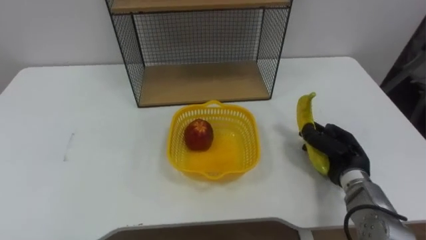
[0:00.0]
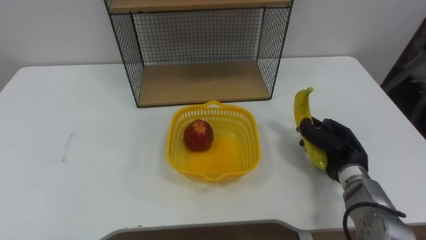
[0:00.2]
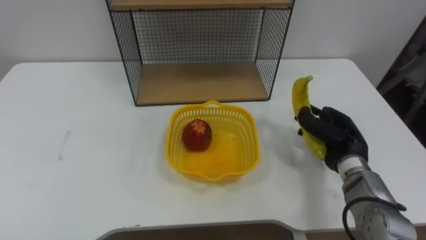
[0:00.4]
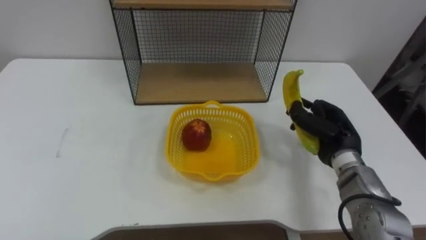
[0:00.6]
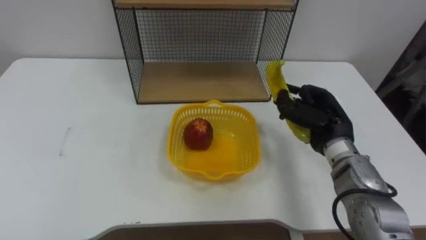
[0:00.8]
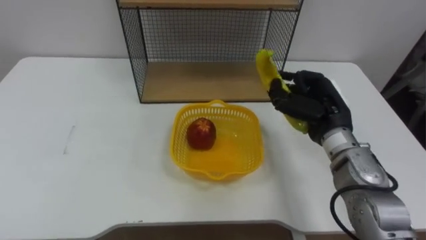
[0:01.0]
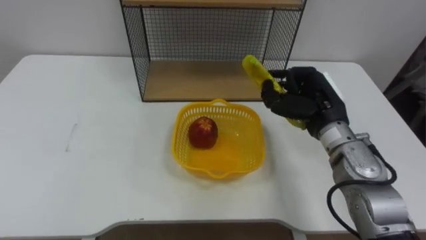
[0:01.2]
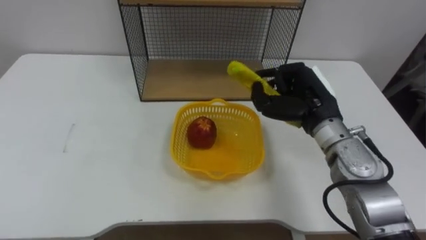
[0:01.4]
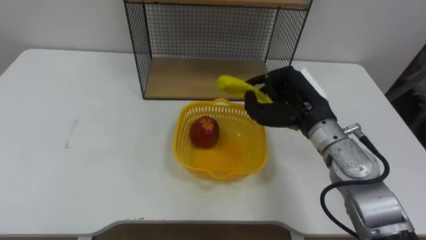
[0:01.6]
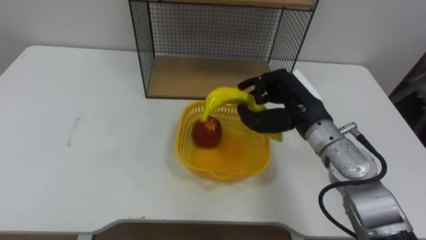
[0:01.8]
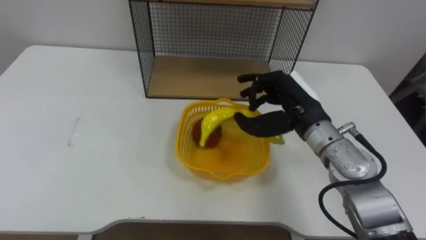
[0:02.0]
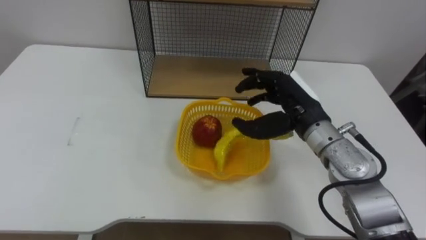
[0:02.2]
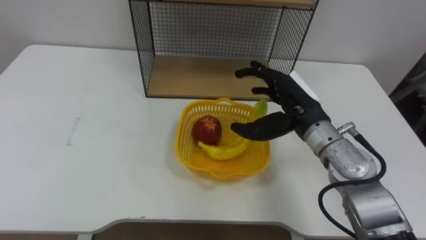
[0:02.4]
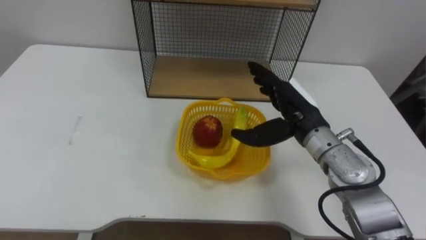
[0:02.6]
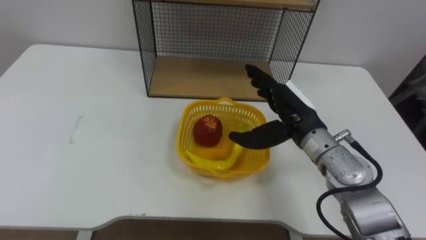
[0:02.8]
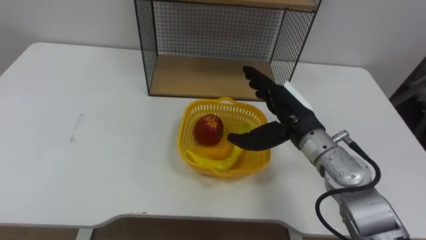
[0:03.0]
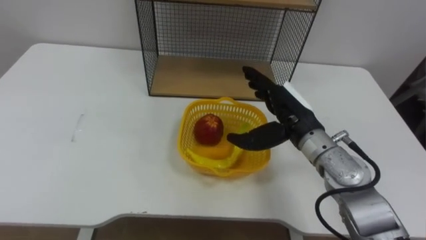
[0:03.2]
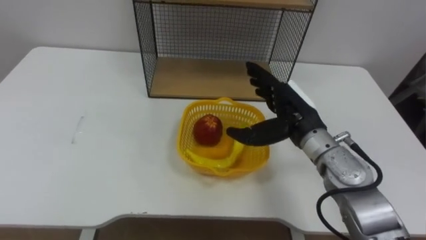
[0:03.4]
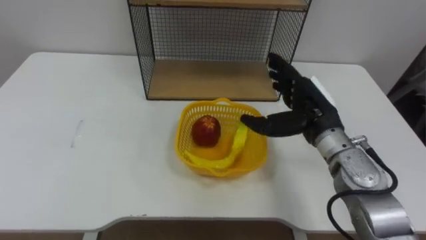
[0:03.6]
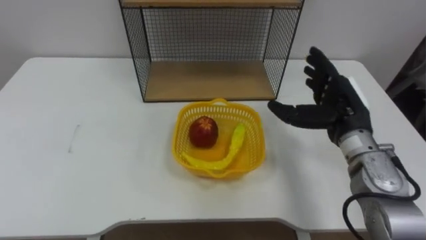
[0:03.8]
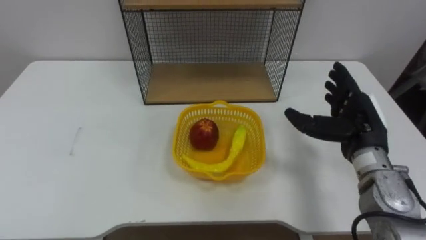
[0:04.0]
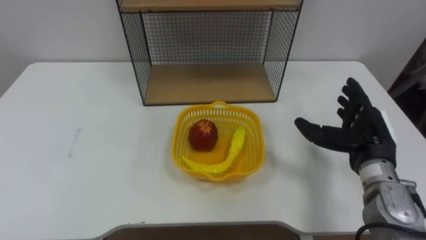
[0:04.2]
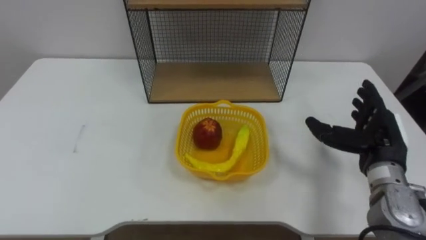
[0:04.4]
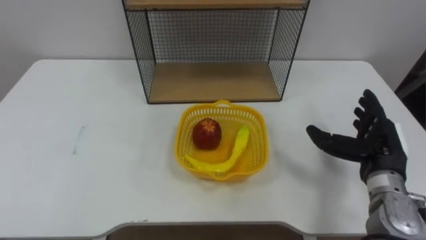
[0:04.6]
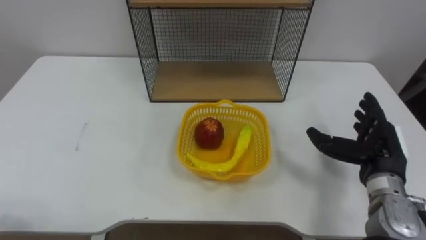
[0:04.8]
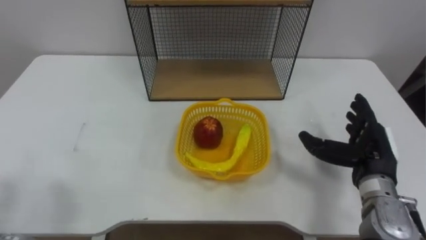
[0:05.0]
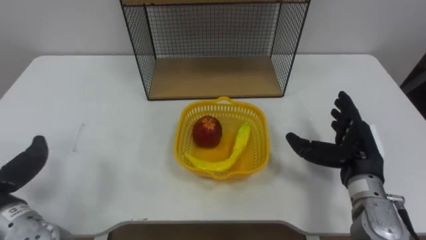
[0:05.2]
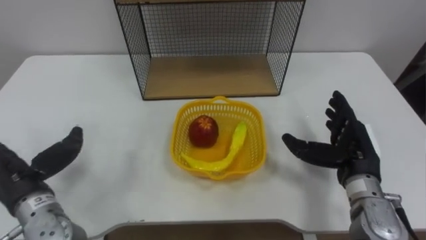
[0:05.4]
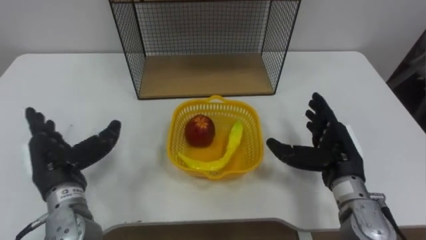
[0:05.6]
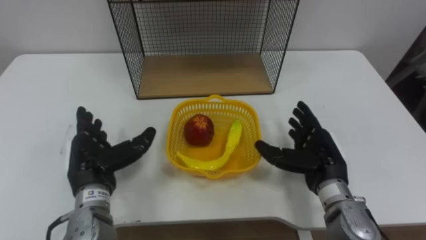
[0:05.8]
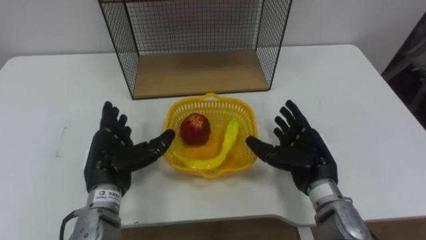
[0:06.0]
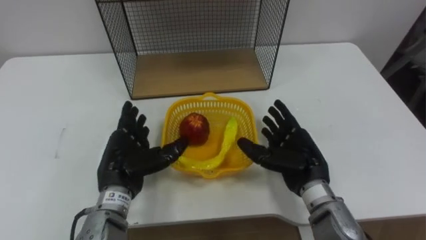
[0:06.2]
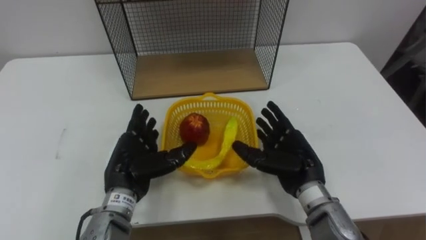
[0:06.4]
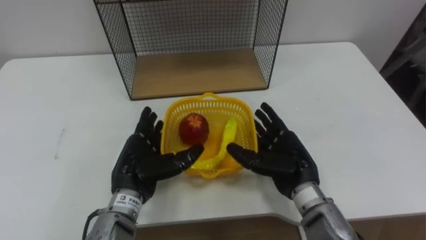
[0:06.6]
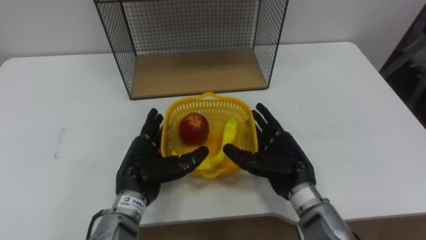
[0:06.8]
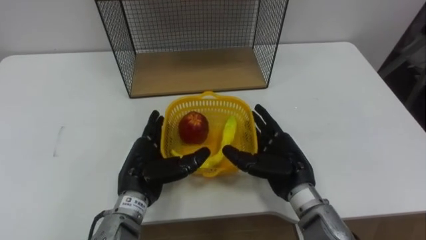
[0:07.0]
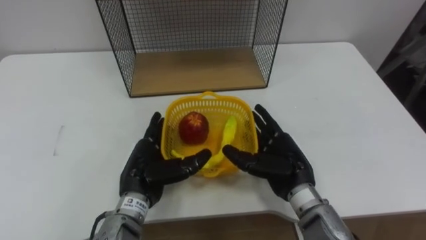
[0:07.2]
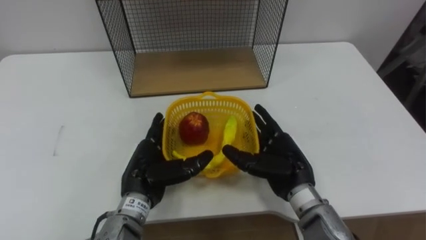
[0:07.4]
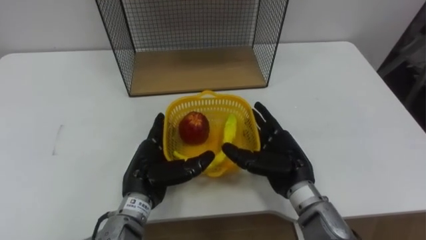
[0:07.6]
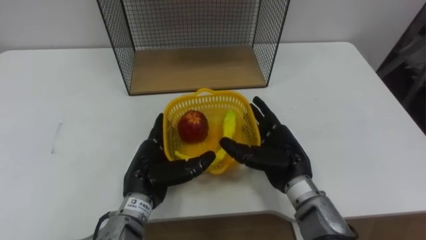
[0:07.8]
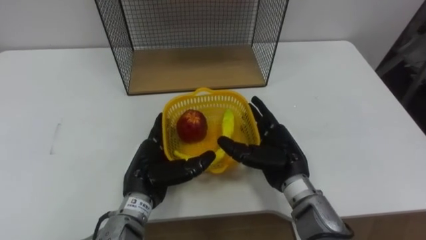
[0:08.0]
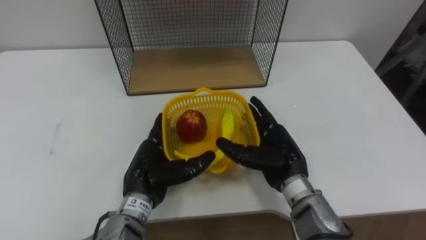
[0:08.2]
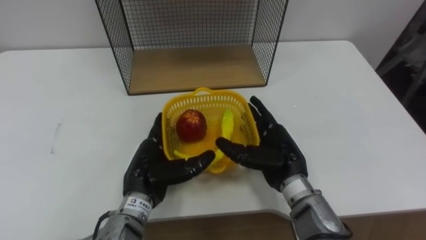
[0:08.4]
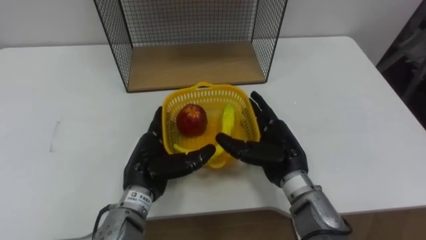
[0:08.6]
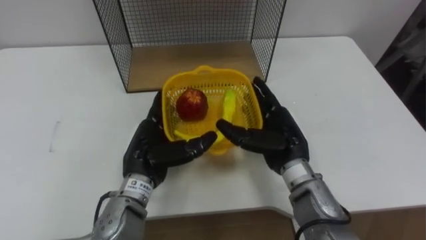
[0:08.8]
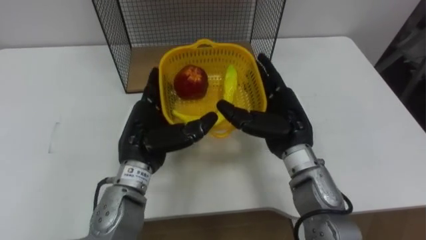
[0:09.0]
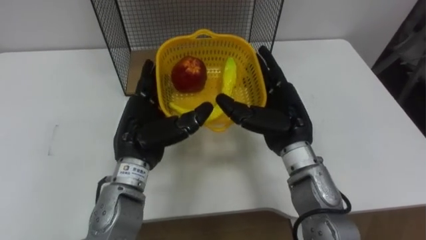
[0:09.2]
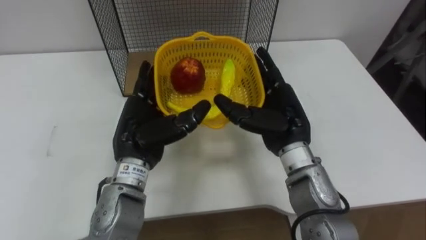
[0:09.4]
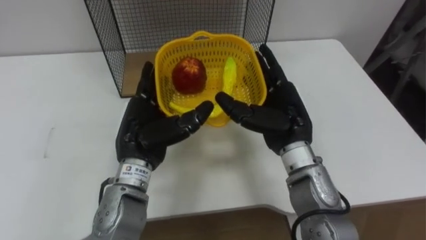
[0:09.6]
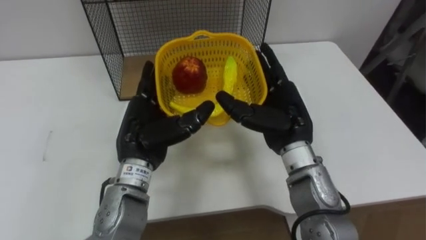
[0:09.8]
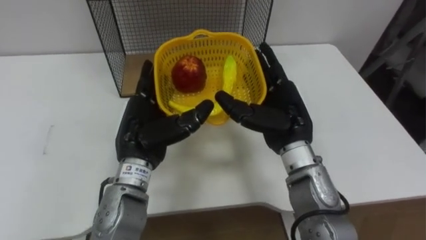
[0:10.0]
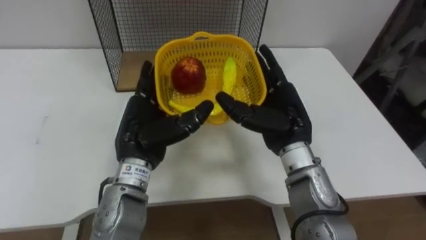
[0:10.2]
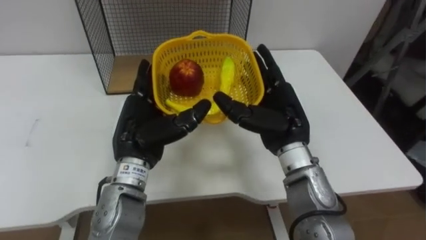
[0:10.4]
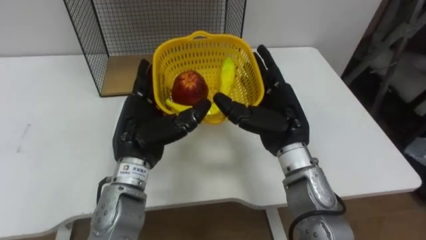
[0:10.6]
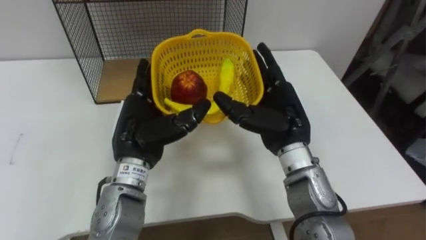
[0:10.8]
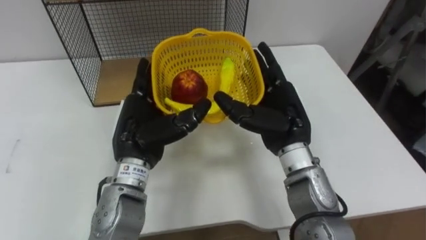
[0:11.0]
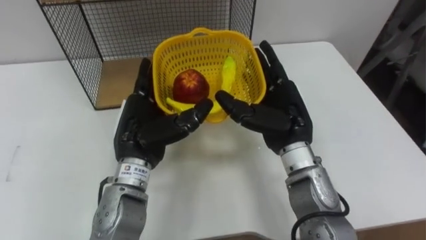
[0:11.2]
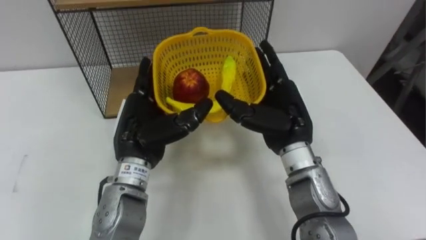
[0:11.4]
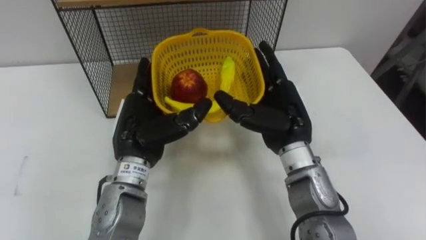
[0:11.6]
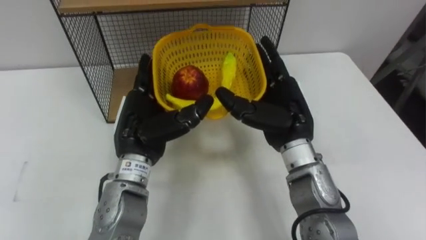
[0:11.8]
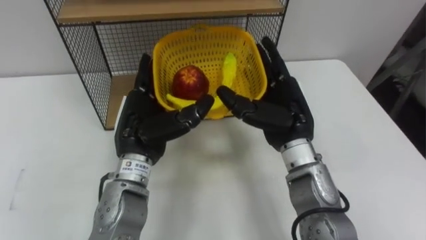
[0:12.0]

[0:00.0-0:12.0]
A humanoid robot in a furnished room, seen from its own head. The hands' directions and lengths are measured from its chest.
Task of the whole recording: Put the fruit on the table into the basket, then place the basket on the shelf.
0:00.0 to 0:01.6: The right hand travels upward and to the left by about 15 cm.
0:01.6 to 0:03.0: The right hand opens.
0:03.0 to 0:04.4: The right hand goes approximately 15 cm to the right.
0:04.4 to 0:06.0: The right hand heads to the left, covering roughly 10 cm.
0:06.0 to 0:07.6: The left hand heads to the right, covering about 5 cm; the right hand shifts approximately 5 cm to the left.
0:07.6 to 0:09.0: Both hands move upward, some 5 cm.

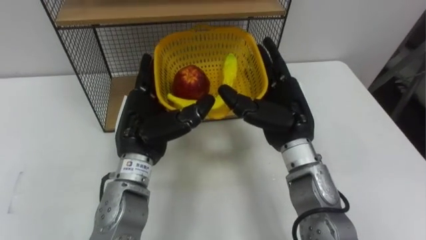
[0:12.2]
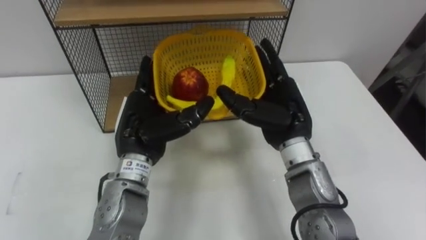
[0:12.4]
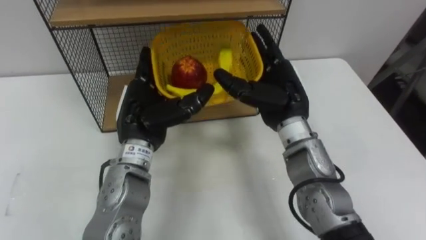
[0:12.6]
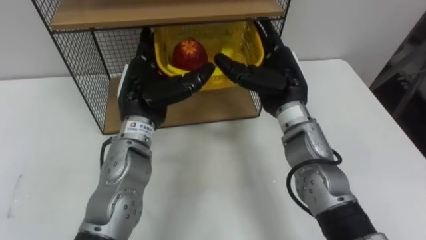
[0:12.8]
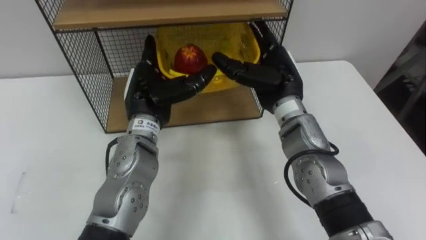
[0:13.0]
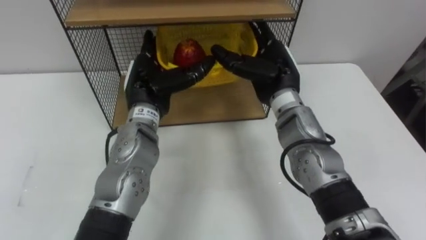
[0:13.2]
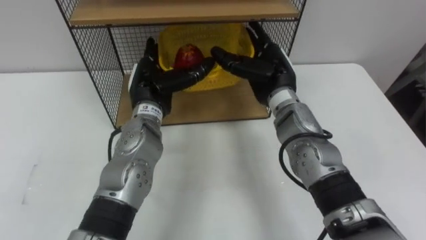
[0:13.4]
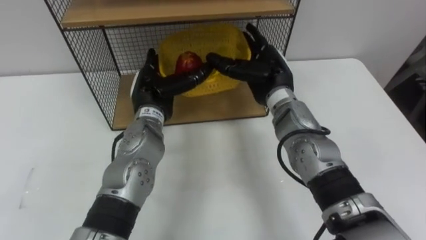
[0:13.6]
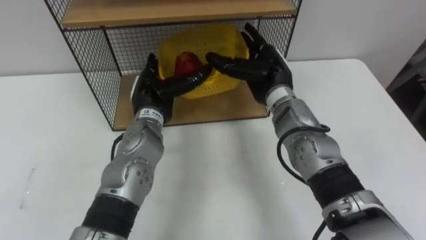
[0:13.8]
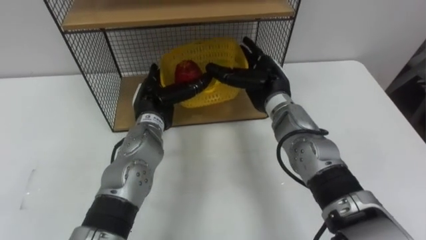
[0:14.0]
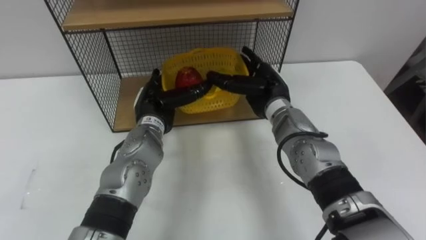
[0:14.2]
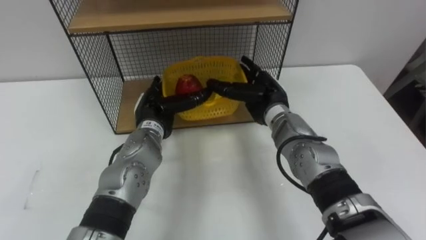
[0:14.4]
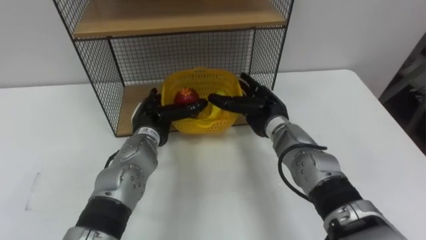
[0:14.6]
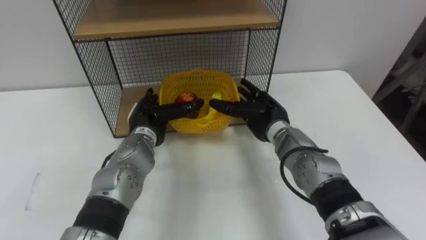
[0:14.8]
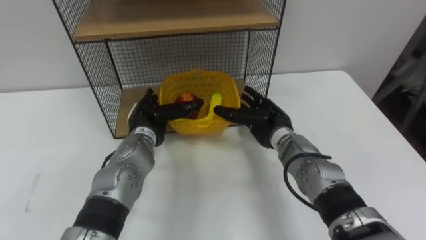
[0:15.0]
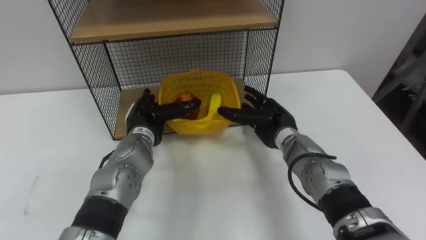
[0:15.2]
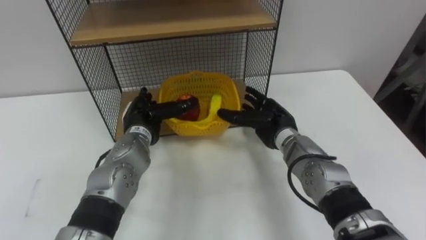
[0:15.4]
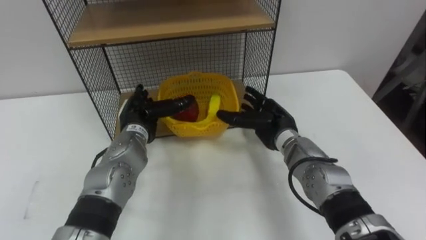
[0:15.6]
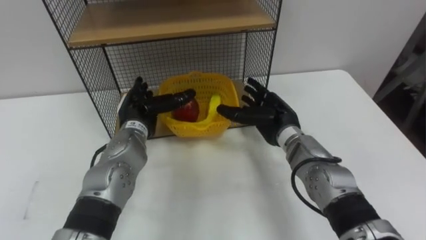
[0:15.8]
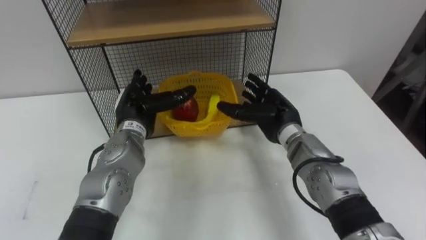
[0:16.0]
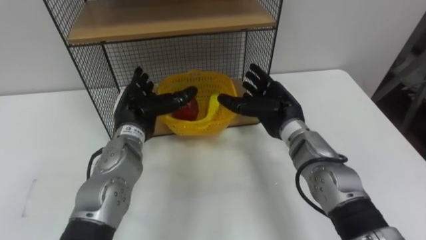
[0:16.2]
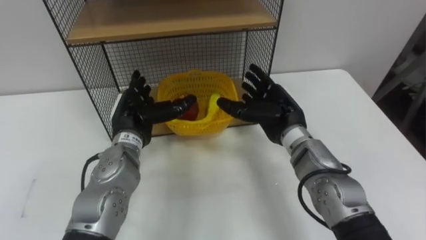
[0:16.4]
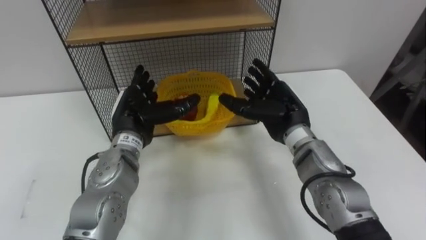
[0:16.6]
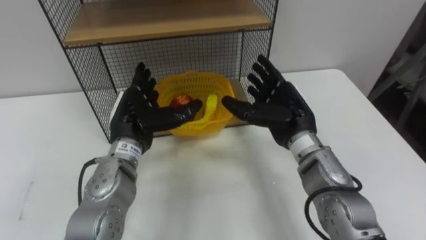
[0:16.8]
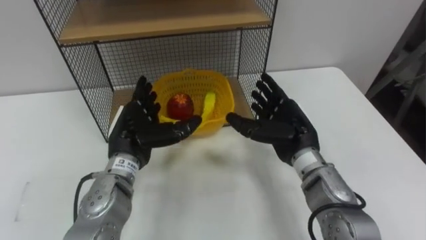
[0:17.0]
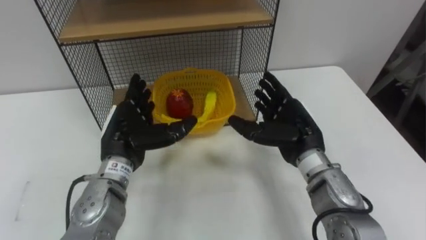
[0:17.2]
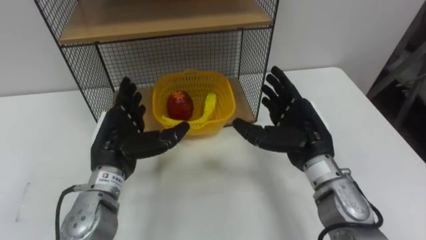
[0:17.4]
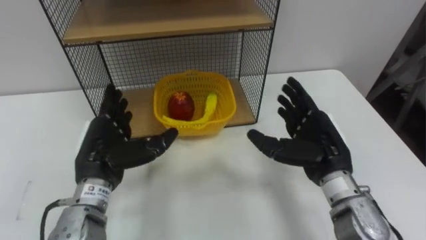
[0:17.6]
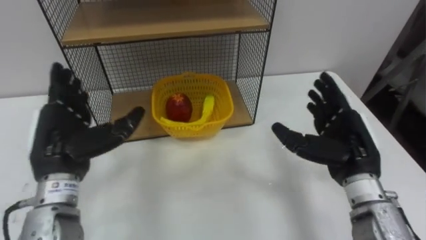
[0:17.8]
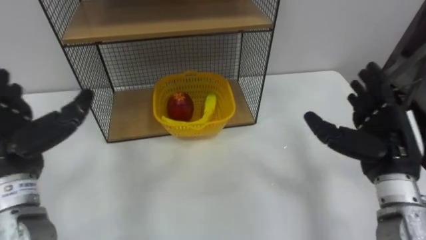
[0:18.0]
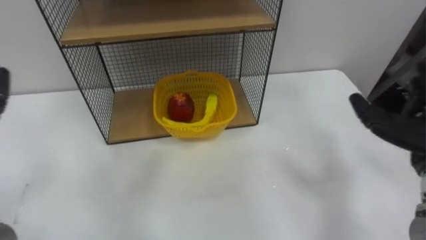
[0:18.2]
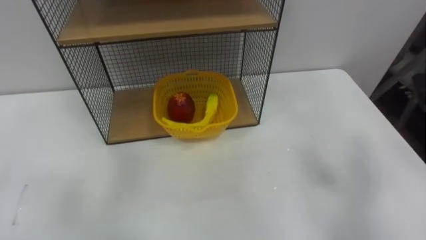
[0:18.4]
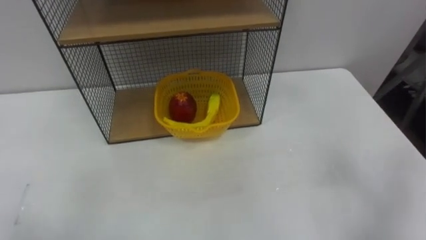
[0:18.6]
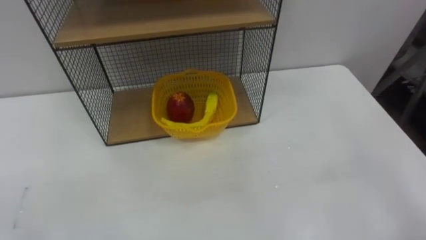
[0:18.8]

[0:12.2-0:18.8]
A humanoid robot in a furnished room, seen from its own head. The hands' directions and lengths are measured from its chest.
Task of the whole recording: Put the fruit on the table into the basket, then place the basket on the shelf.
0:12.2 to 0:13.8: Both hands move forward, some 10 cm.
0:13.8 to 0:15.4: The left hand moves downward, roughly 5 cm. Meanwhile the right hand is displaced downward by about 10 cm.
0:15.4 to 0:17.2: The right hand travels backward and upward by roughly 10 cm. The left hand moves backward, about 5 cm.
